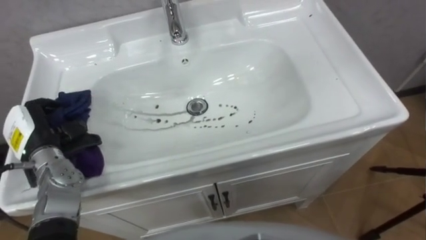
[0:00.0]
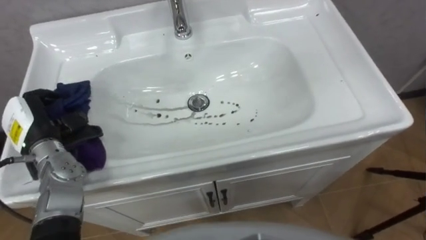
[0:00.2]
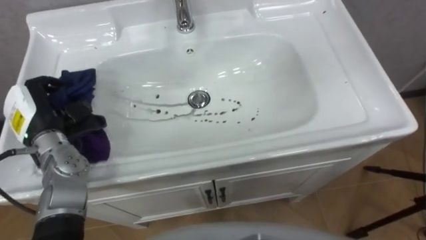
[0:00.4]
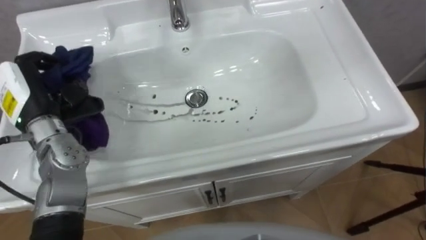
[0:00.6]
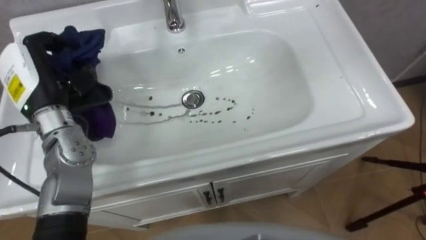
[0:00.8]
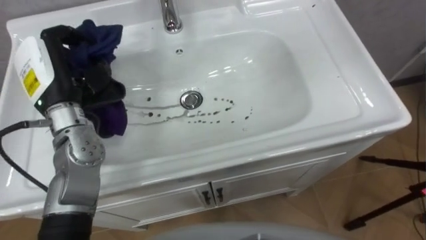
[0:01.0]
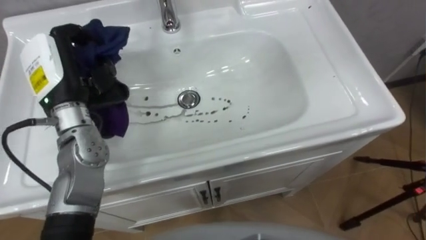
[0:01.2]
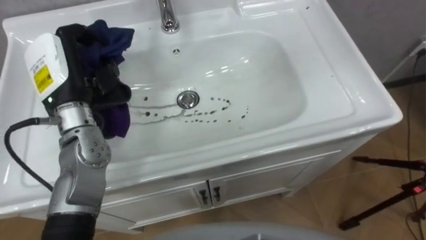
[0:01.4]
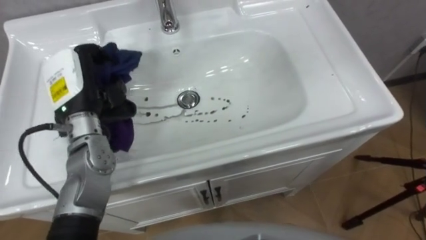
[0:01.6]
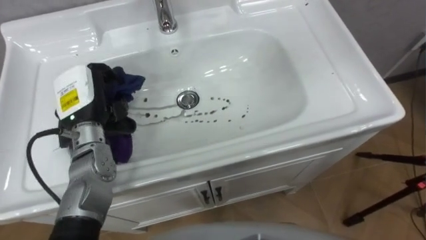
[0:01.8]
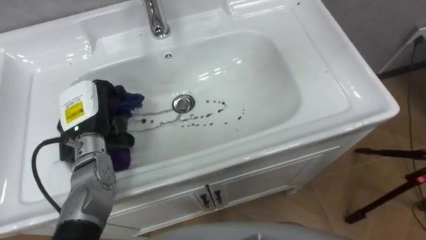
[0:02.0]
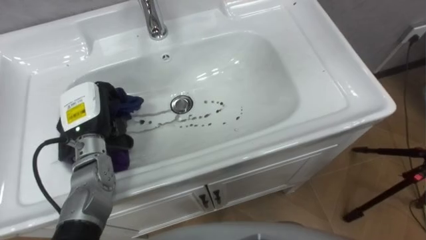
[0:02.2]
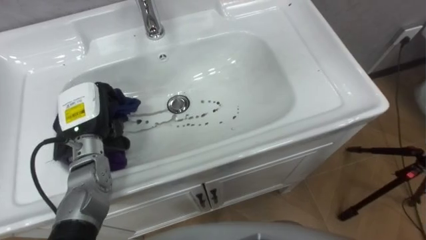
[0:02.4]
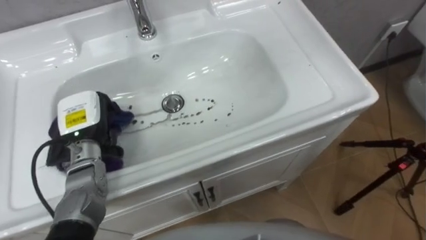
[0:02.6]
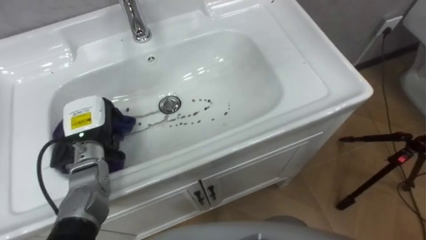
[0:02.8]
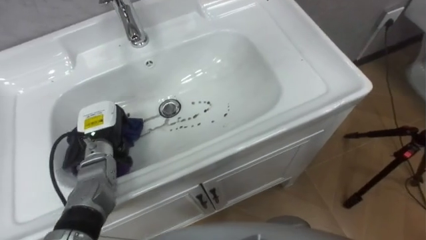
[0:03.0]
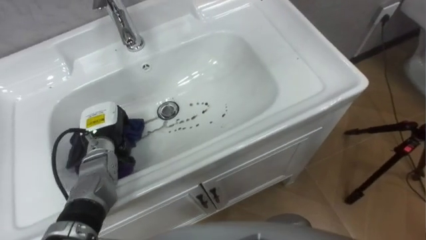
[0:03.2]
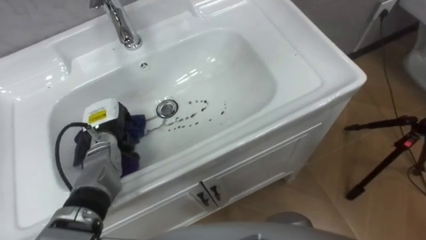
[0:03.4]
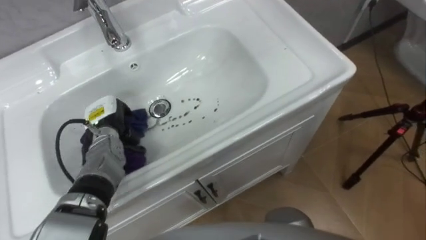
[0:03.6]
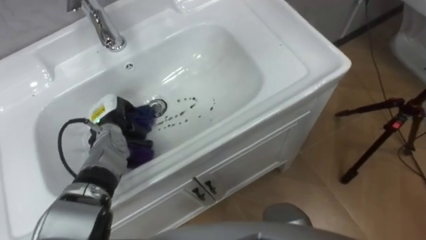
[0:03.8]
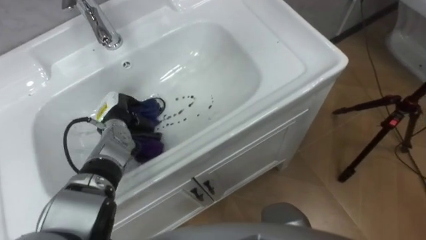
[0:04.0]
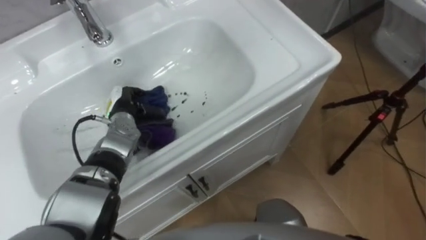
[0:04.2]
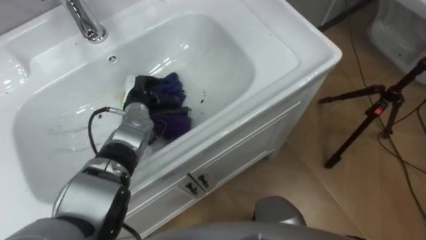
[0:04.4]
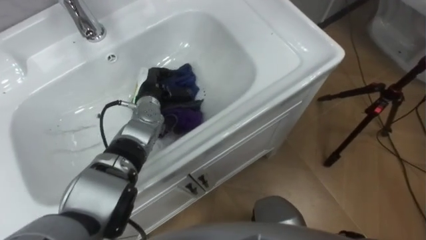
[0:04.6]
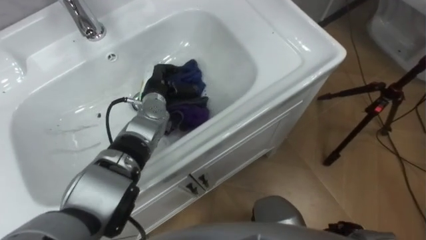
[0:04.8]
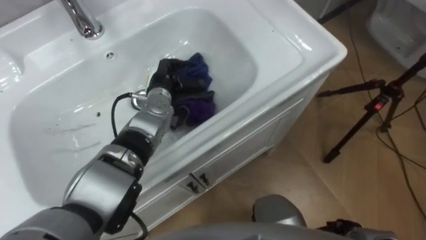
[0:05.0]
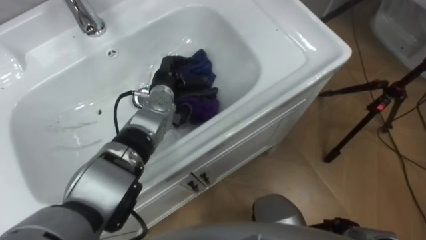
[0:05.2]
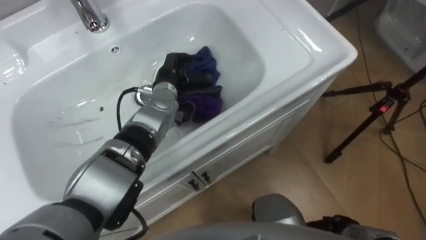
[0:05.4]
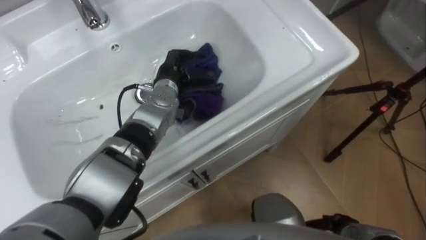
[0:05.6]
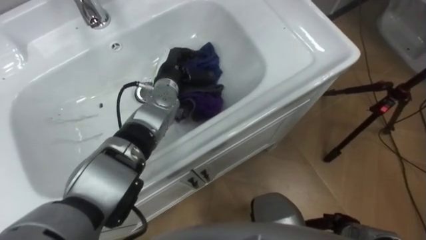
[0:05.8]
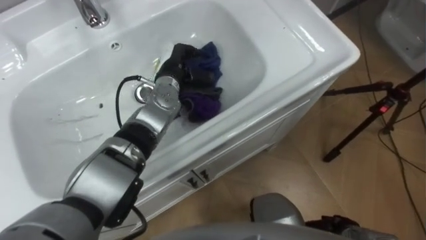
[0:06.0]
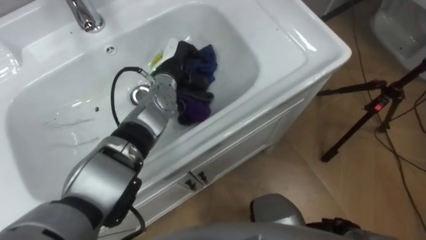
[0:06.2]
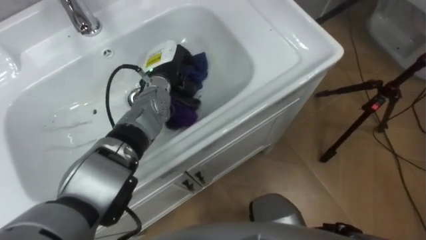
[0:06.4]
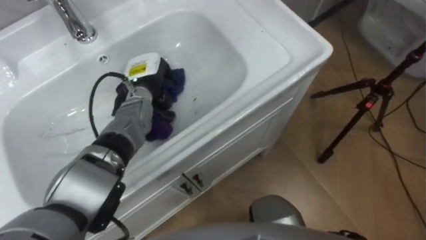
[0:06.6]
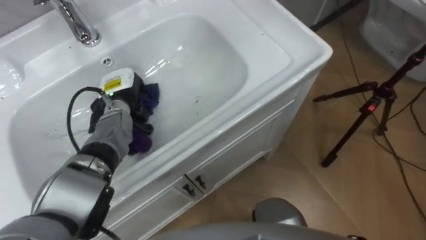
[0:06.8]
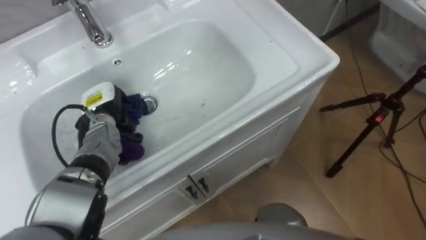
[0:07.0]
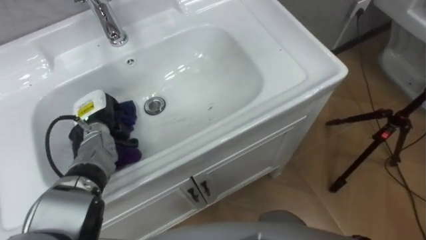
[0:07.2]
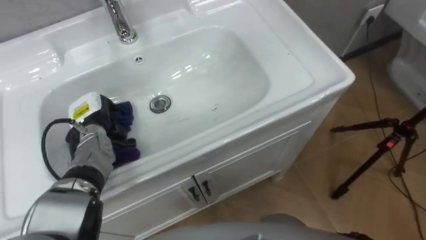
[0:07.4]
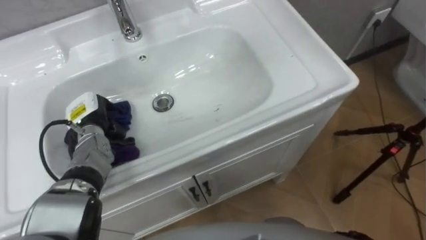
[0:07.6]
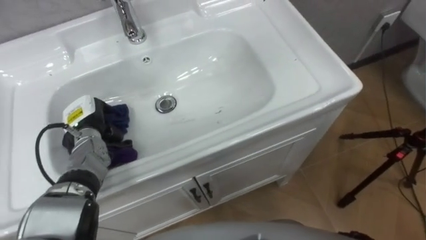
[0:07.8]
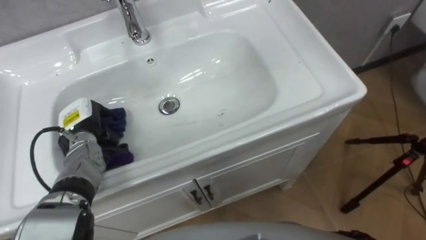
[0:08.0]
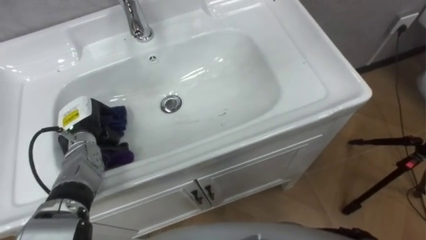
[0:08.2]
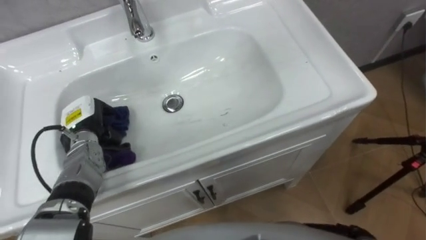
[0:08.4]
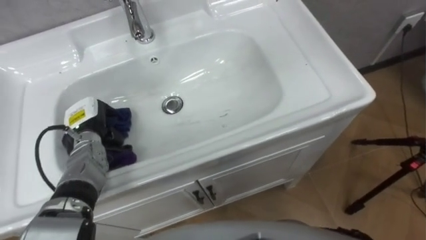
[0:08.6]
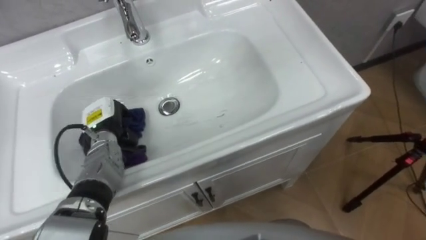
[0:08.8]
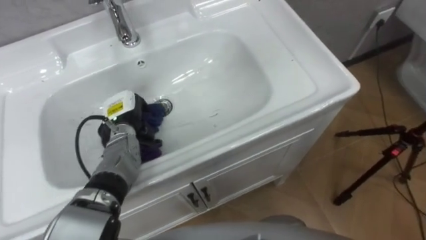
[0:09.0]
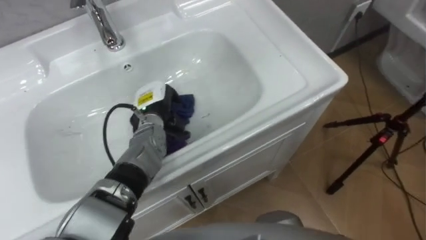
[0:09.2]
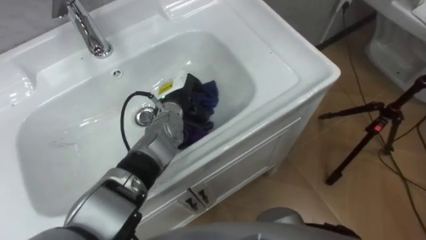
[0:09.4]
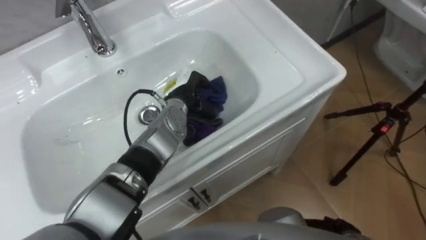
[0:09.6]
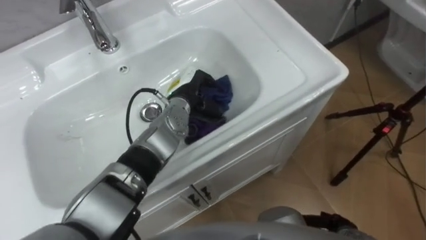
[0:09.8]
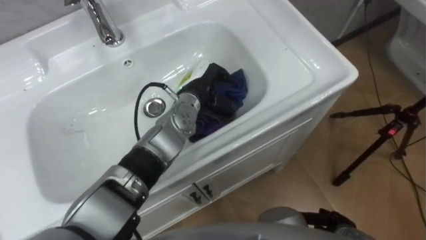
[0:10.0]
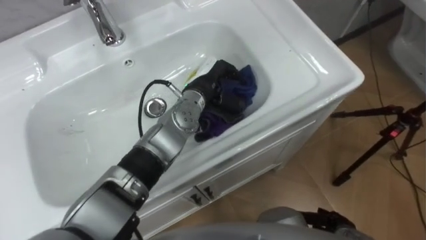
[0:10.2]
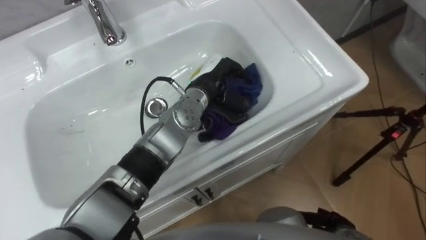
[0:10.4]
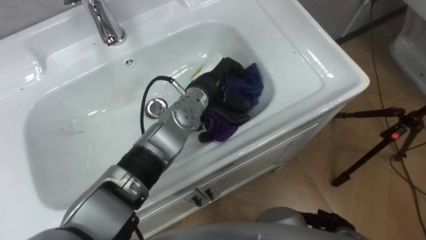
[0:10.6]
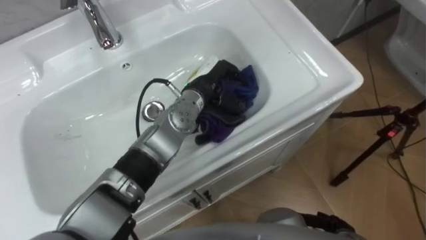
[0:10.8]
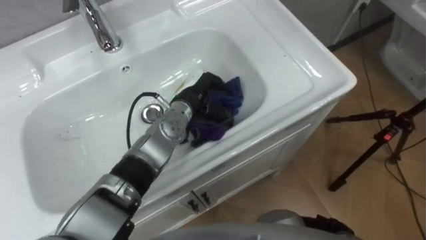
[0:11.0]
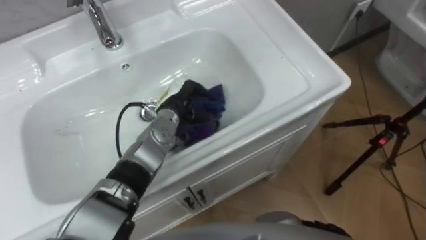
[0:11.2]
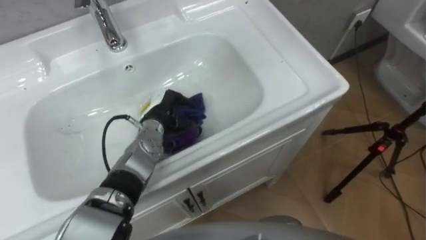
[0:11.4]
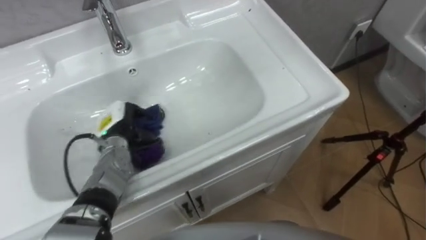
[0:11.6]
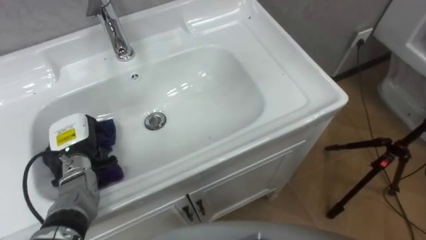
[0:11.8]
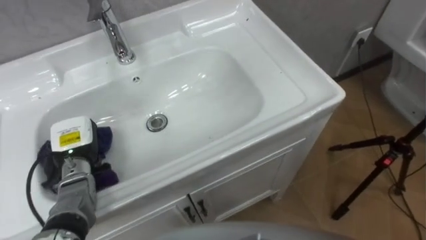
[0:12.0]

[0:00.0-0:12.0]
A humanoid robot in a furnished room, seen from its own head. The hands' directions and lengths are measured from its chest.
Task of the whole recording: Use the cloth on the right to wipe away the black stain in the sink.
0:00.0 to 0:01.6: The left hand travels to the right, upward and forward by about 15 cm.
0:01.6 to 0:03.0: The left hand travels downward by roughly 15 cm.
0:03.0 to 0:04.4: The left hand shifts some 10 cm to the right and forward.
0:04.4 to 0:06.0: The left hand is displaced to the right and upward by approximately 10 cm.
0:06.0 to 0:07.6: The left hand goes some 20 cm to the left and backward.
0:07.6 to 0:09.0: The left hand moves to the right, roughly 10 cm.
0:09.0 to 0:10.4: The left hand travels to the right and upward by approximately 20 cm.
0:10.4 to 0:12.0: The left hand is displaced to the left by approximately 30 cm.

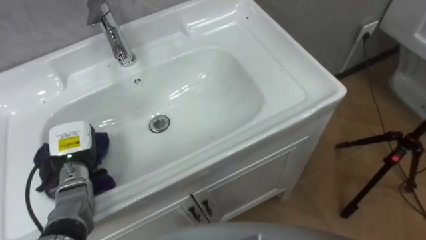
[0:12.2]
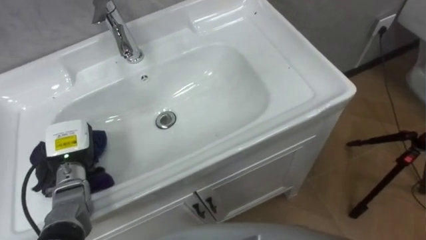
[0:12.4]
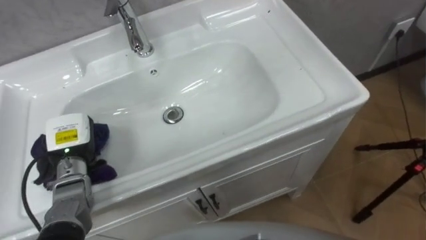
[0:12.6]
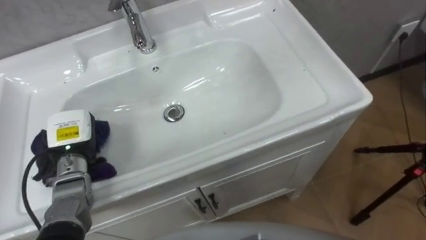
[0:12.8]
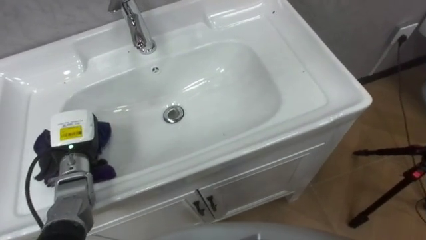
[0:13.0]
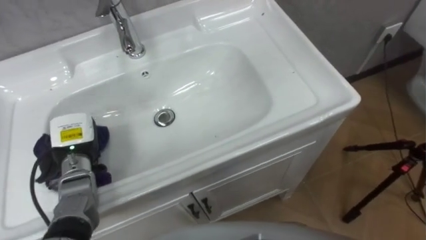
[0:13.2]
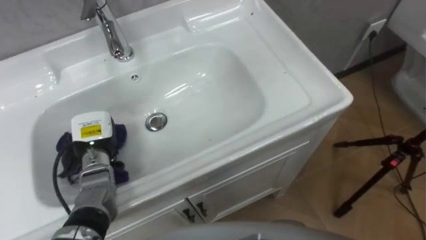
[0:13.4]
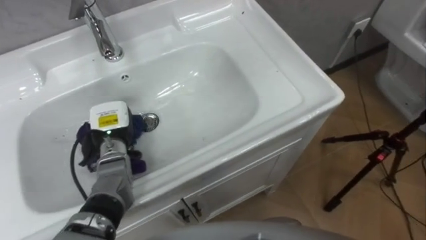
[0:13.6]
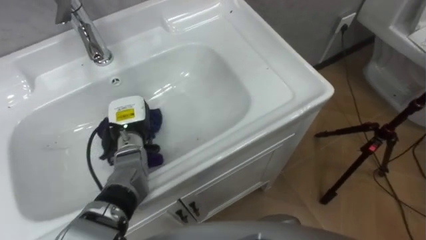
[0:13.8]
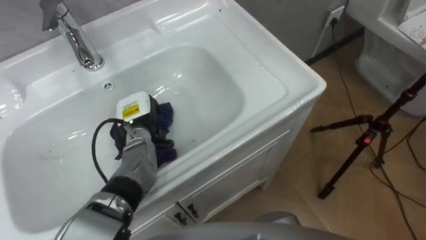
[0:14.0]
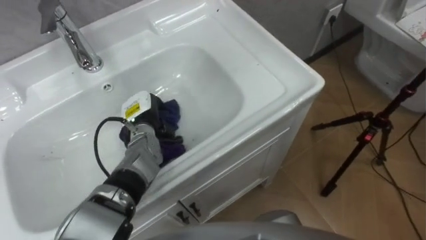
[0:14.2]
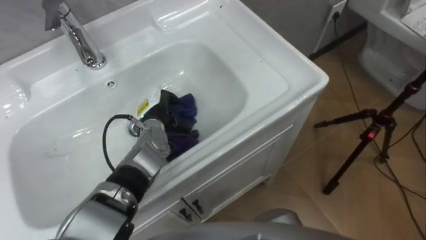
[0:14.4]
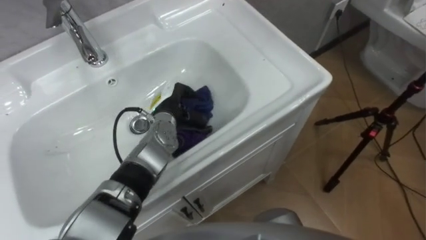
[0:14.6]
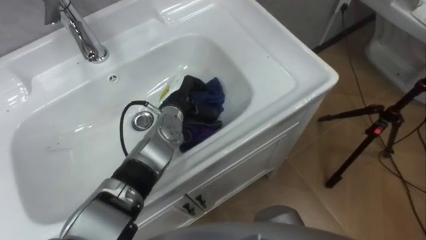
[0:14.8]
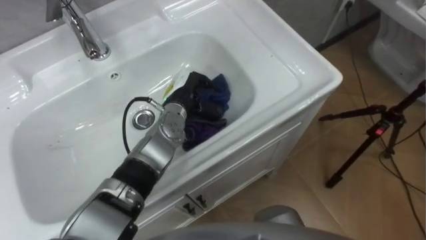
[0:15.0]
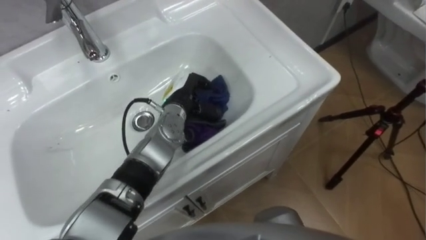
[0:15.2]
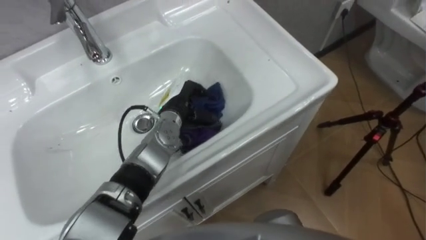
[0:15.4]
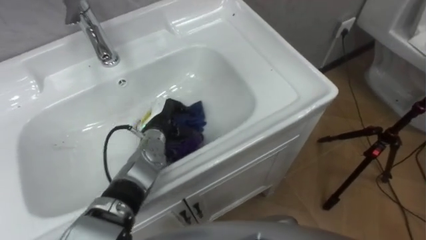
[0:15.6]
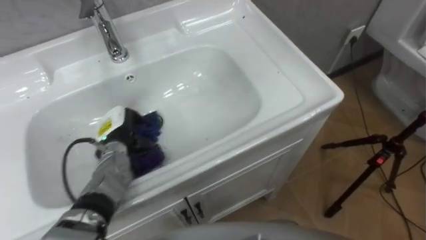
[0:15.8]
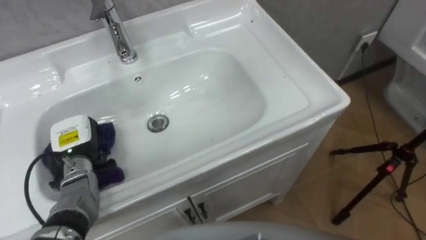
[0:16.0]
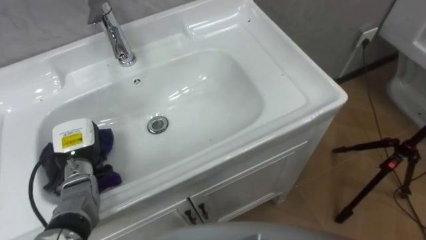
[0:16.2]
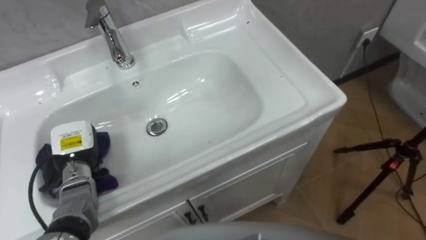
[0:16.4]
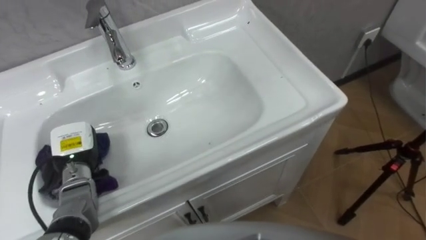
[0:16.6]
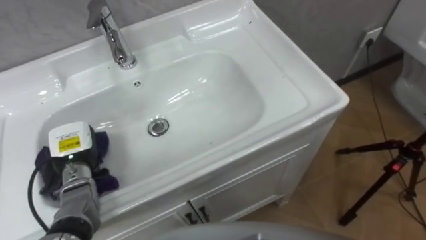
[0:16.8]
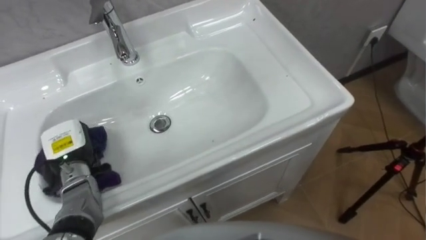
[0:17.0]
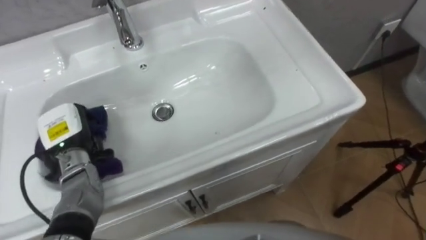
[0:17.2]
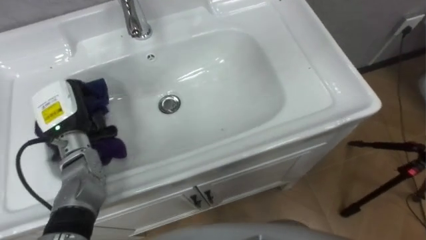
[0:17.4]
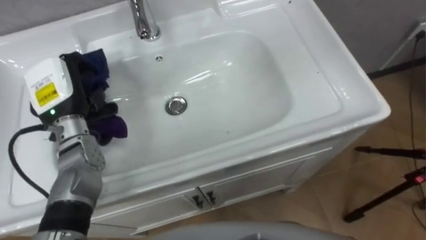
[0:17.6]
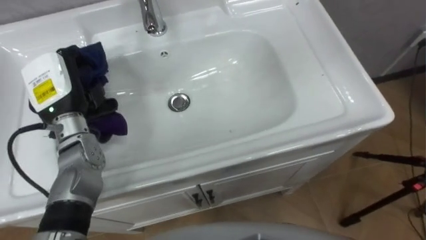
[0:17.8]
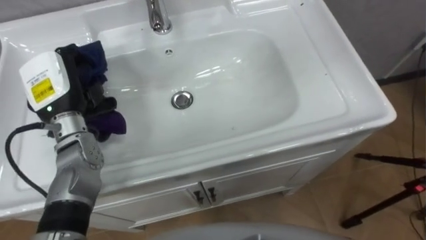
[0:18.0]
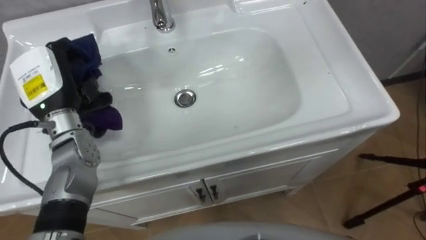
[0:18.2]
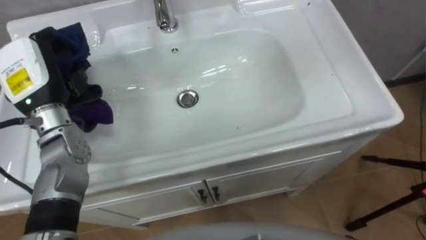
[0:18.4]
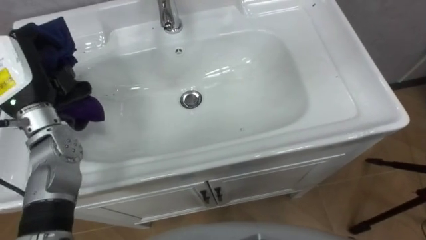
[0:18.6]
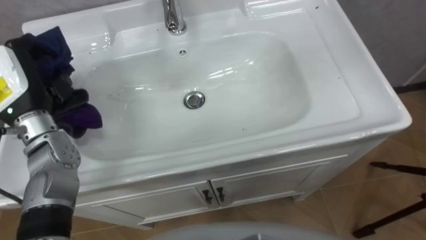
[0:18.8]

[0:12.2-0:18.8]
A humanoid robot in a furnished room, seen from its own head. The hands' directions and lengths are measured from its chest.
Task of the whole recording: Use the cloth on the right to wipe away the black stain in the sink.
0:12.2 to 0:13.8: The left hand travels to the right and forward by roughly 15 cm.
0:13.8 to 0:15.4: The left hand heads to the right, covering roughly 10 cm.
0:15.4 to 0:17.2: The left hand heads to the left, covering some 20 cm.
0:17.2 to 0:18.8: The left hand travels upward by roughly 15 cm.
